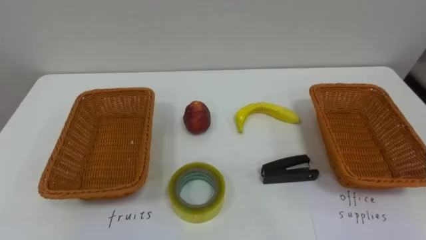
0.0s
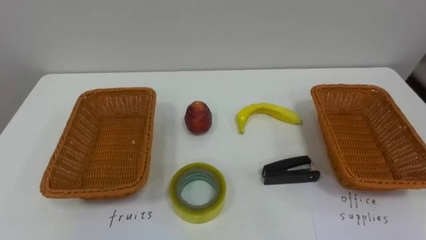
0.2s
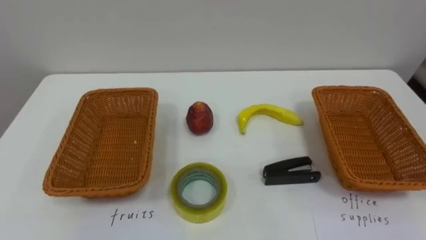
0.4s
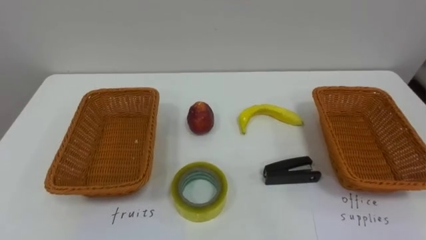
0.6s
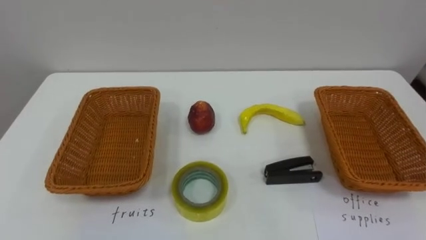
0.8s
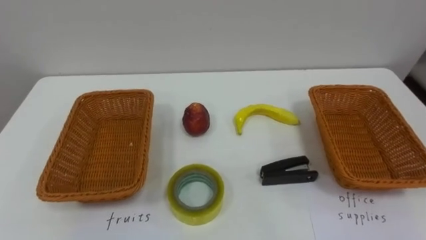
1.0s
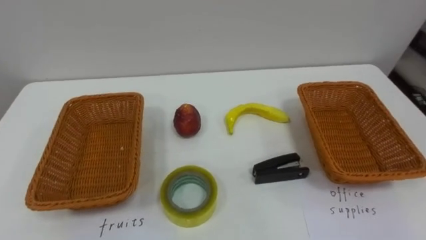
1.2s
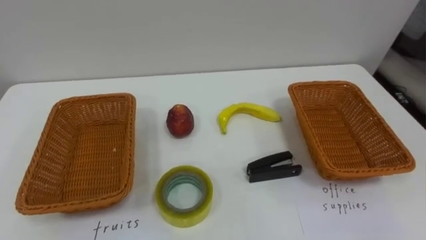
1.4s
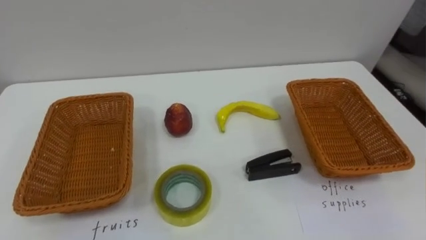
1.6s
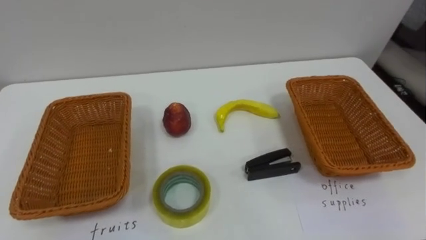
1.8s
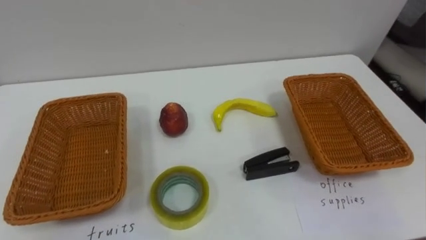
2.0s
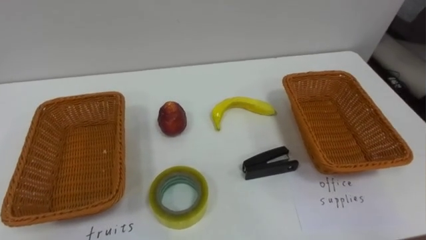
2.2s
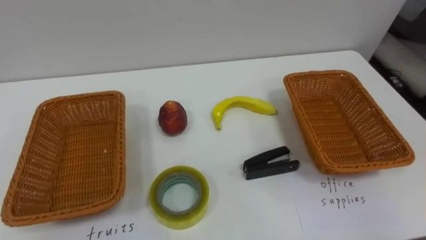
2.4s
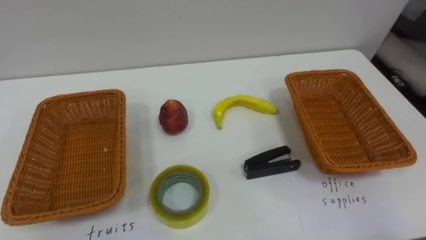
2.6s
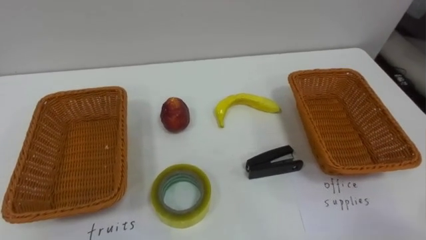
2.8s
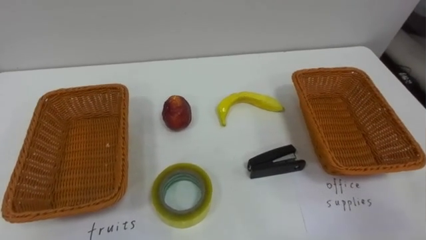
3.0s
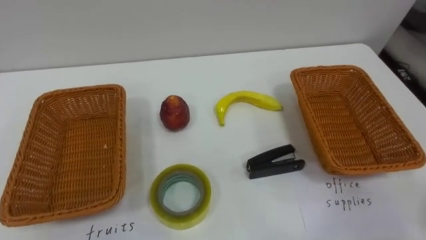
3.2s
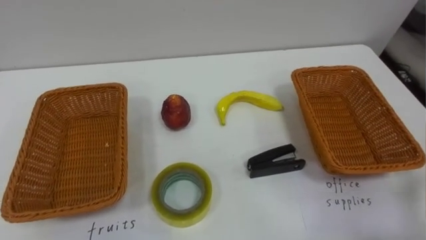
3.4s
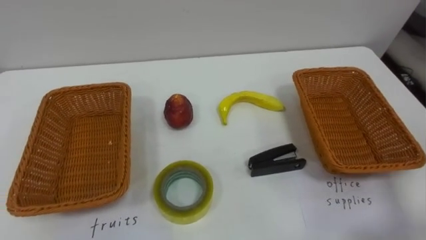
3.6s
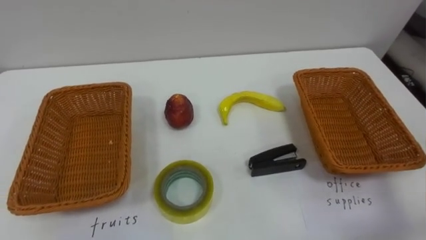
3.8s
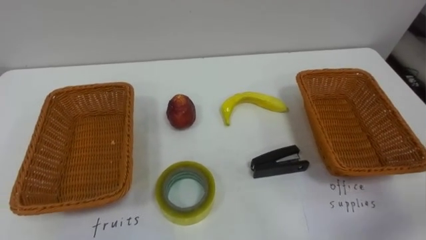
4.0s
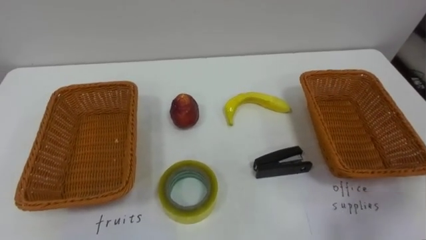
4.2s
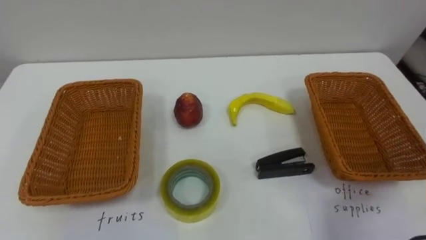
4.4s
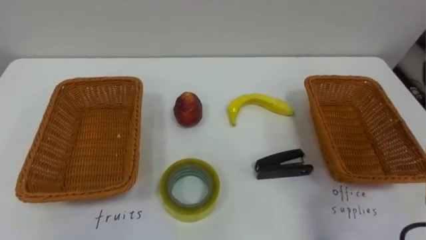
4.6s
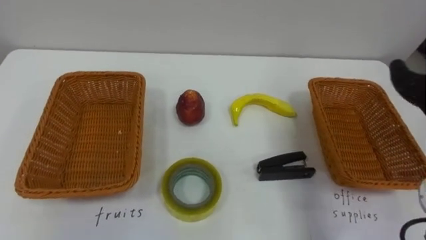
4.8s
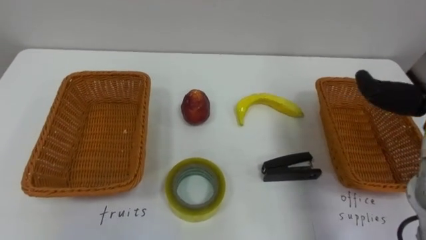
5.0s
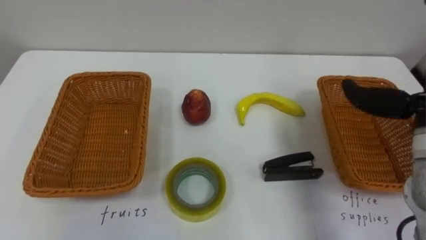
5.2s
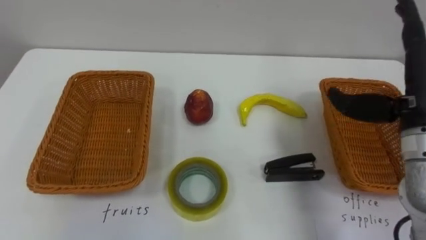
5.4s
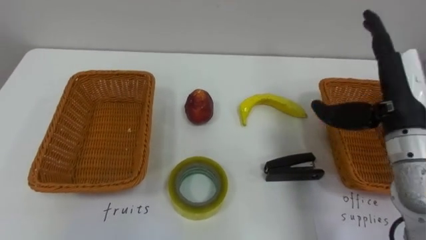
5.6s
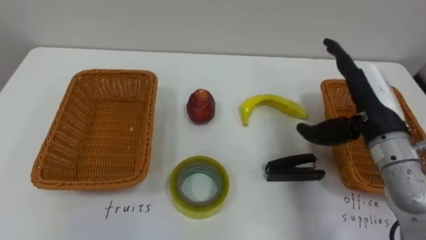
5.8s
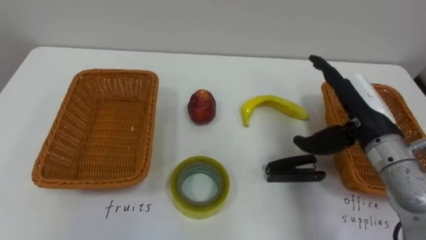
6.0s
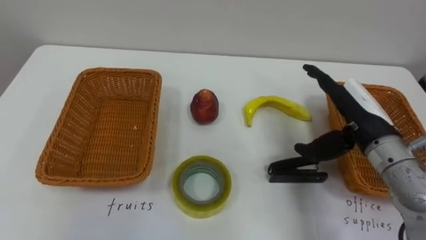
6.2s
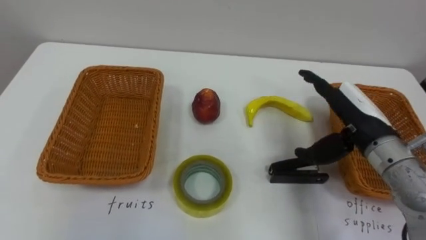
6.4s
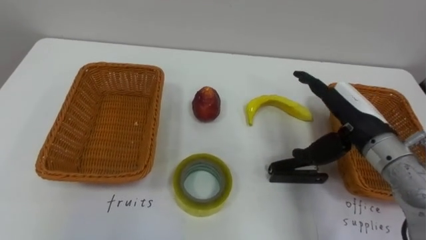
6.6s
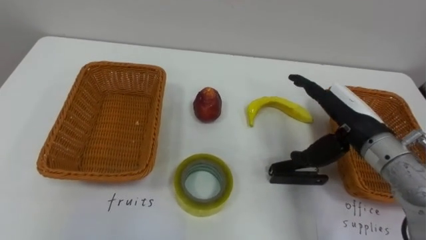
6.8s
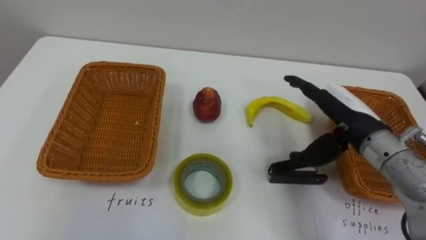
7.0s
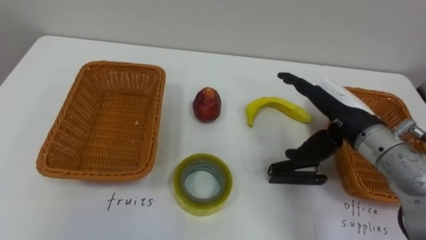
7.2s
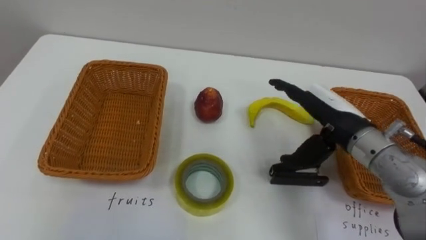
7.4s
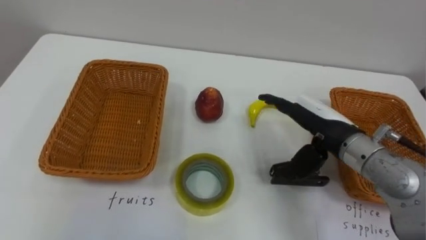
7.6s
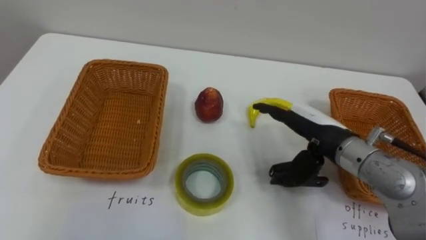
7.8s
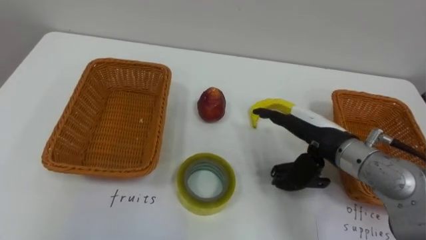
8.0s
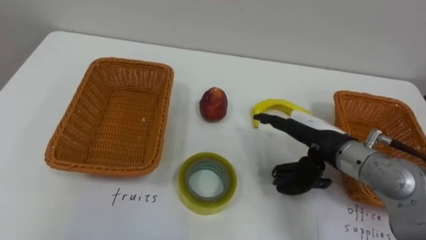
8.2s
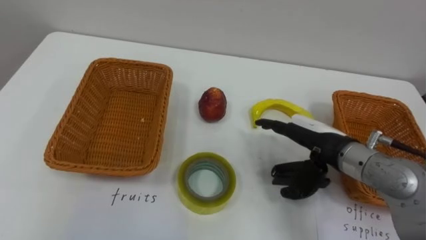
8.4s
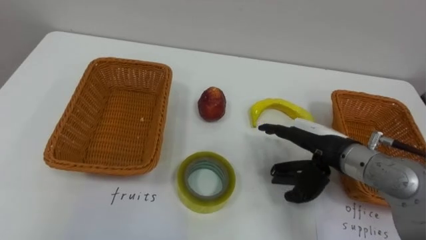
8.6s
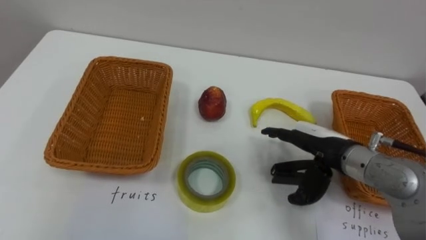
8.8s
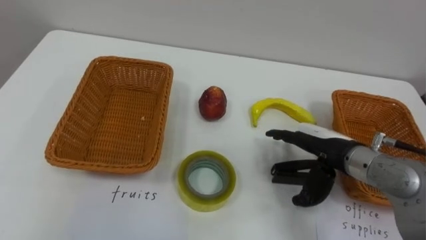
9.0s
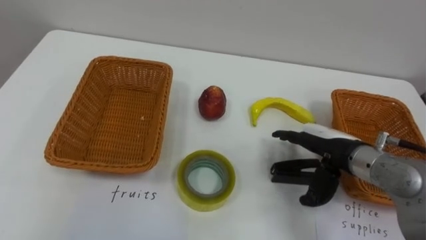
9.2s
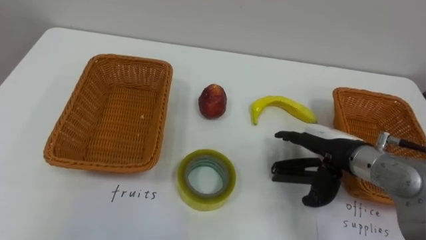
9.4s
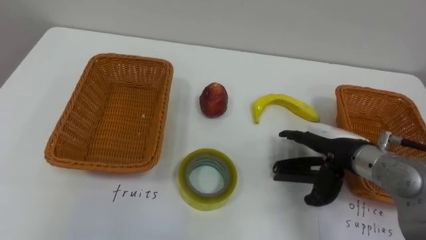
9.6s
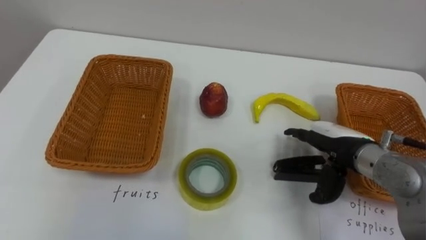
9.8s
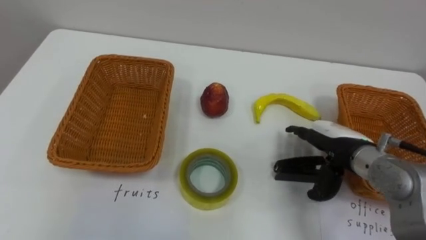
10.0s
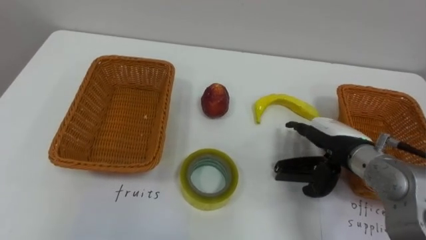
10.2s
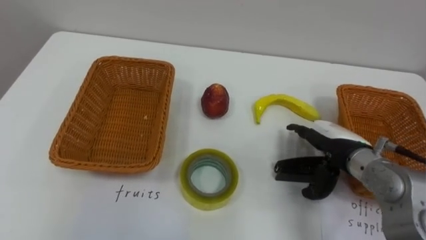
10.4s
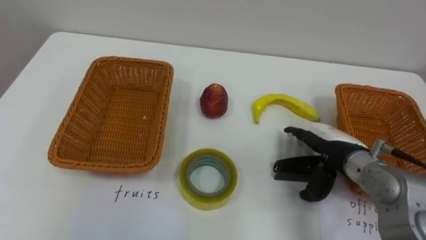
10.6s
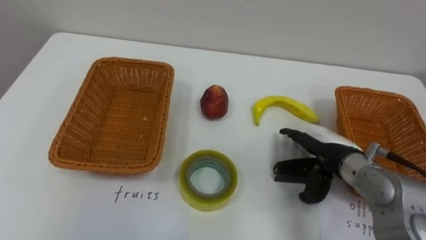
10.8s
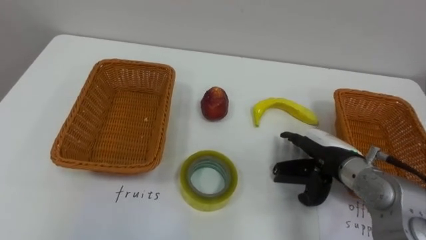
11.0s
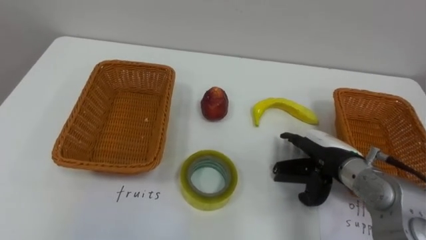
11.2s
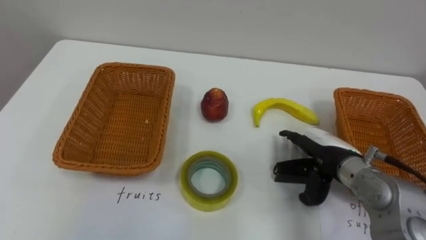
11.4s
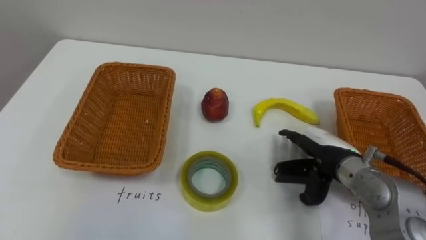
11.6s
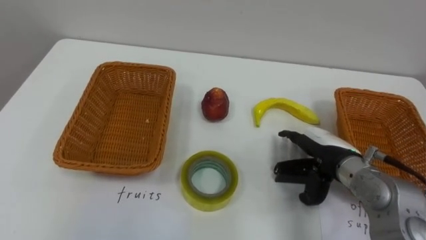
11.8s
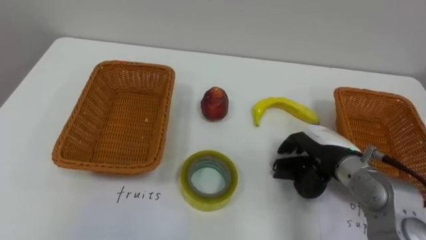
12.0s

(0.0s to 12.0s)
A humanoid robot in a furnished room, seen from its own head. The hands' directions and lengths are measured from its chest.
Task of the whole recording: Separate the items on the table and place them into the two baskets.
6.0s - 7.6s: The right hand shifts approximately 5 cm to the left.

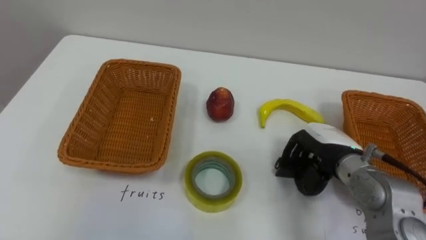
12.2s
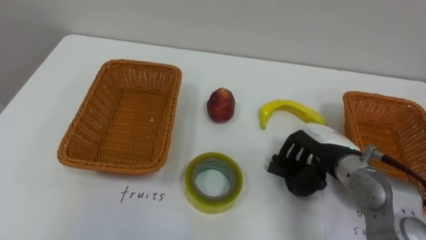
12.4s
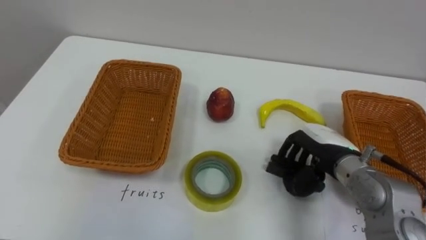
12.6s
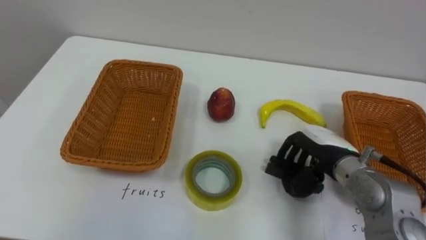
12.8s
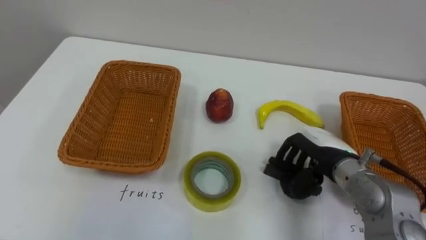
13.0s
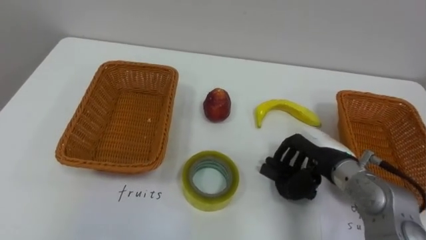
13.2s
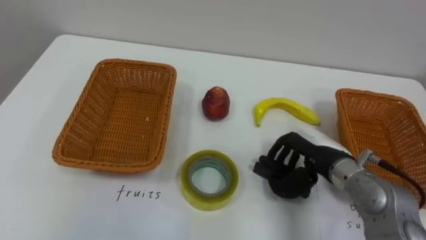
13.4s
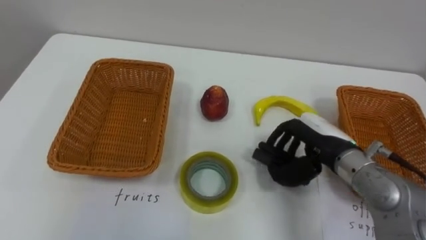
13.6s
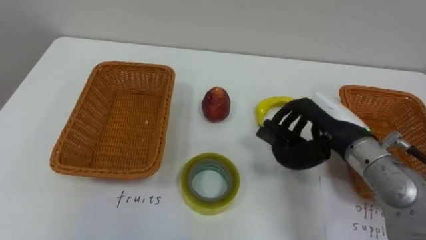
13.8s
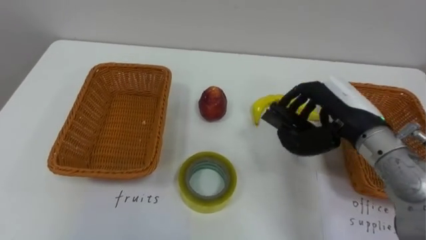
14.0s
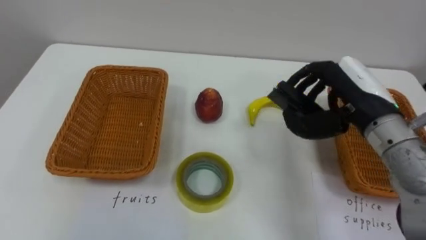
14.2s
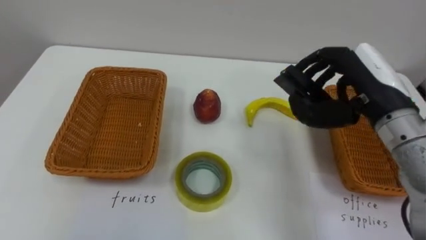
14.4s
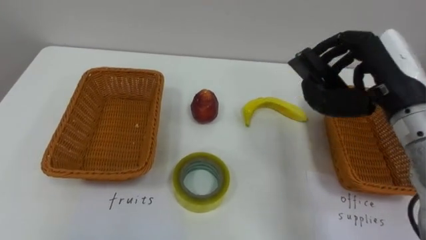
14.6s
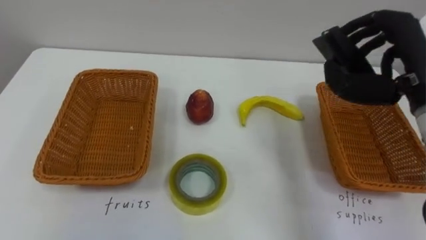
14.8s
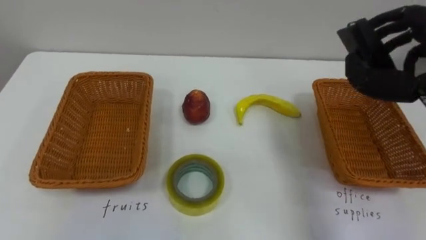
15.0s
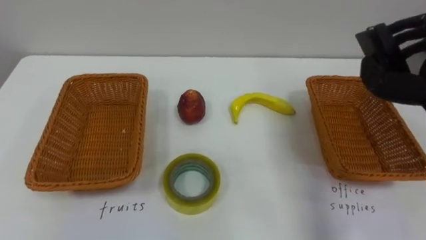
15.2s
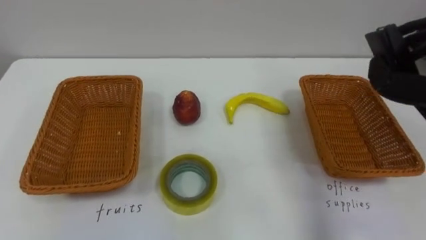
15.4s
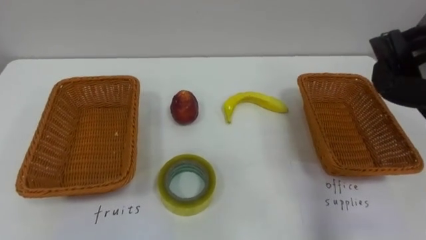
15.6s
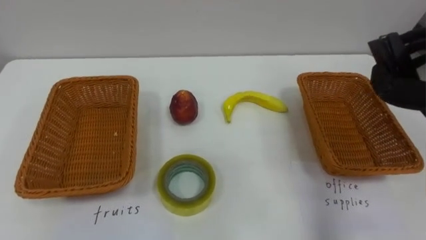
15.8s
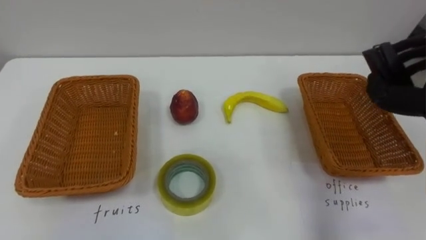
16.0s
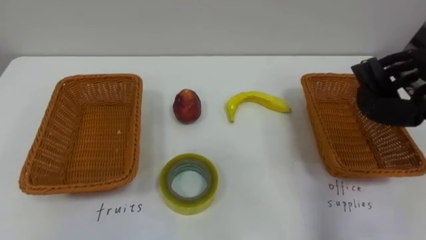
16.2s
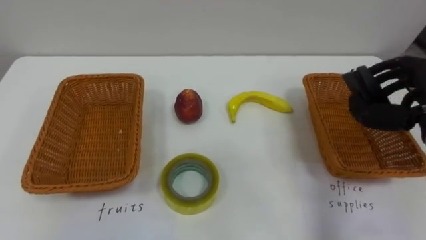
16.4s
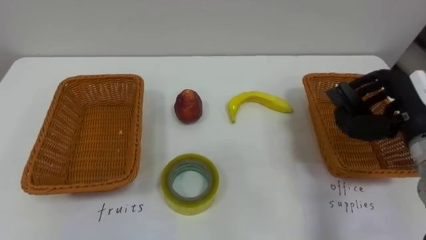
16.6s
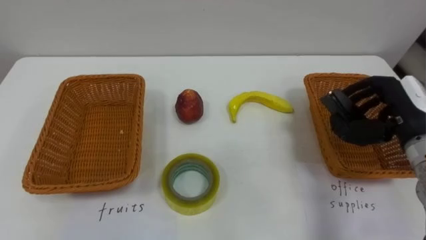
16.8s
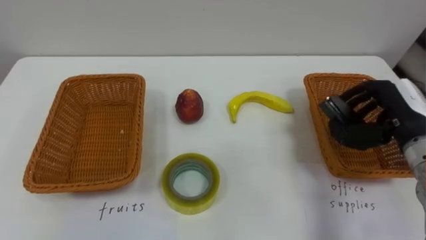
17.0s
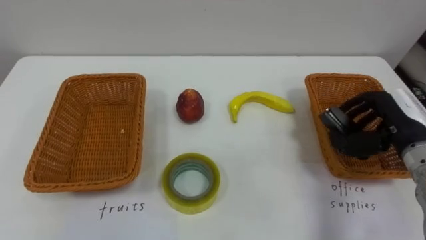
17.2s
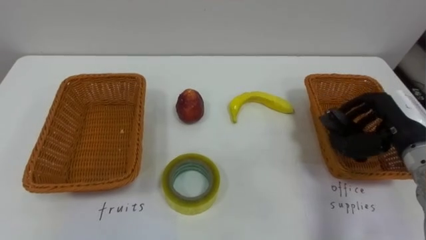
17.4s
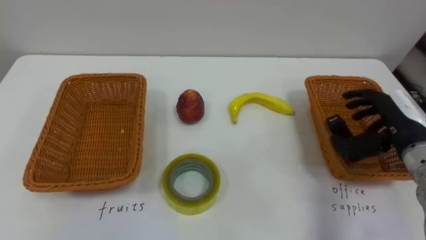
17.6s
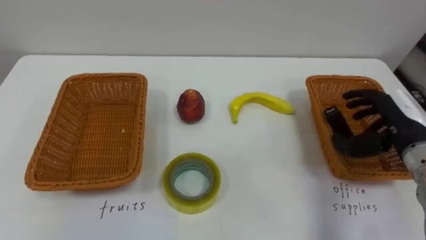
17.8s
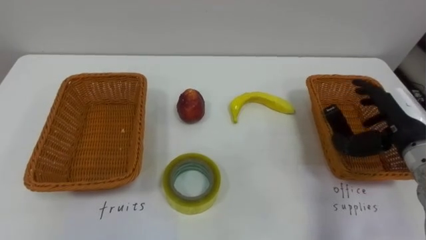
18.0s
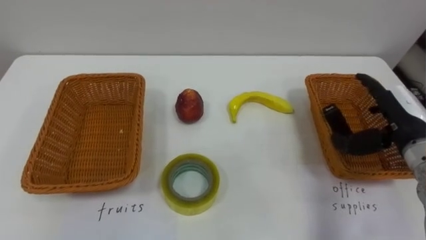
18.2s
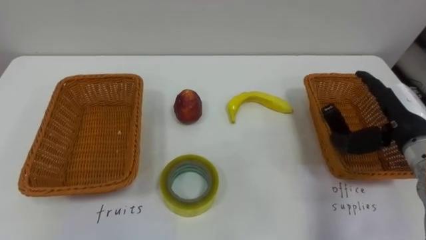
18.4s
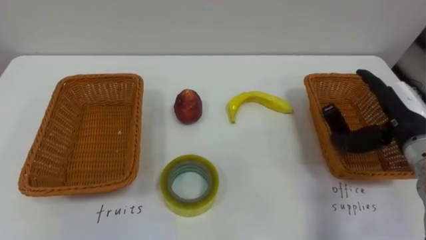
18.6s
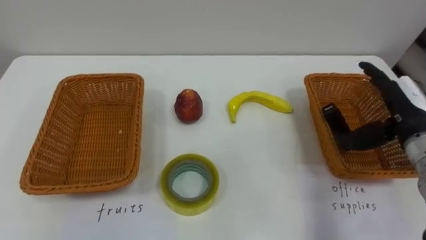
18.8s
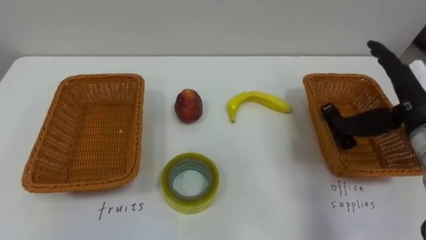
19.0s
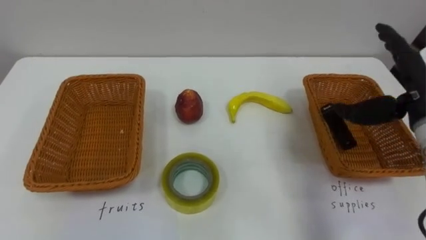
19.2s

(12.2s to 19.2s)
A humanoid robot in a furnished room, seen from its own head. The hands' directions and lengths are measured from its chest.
Task of the whole recording: Separate the items on the table and place them into the two baskets.
17.8s - 19.2s: The right hand heads upward, covering some 5 cm, and opens its fingers.
